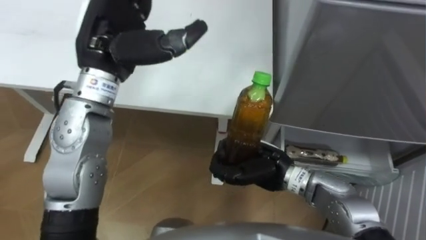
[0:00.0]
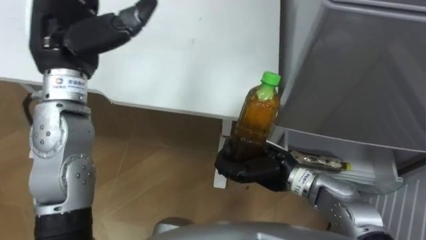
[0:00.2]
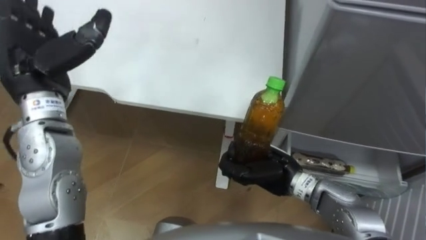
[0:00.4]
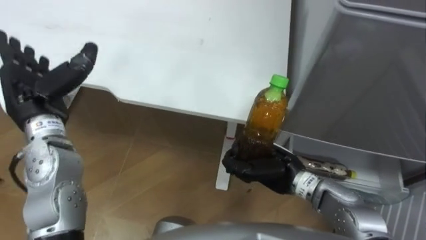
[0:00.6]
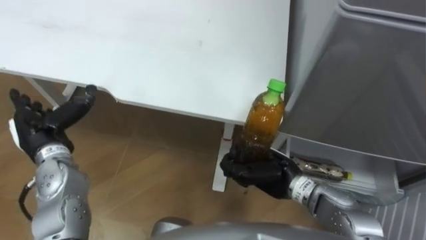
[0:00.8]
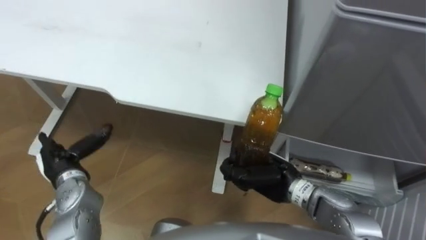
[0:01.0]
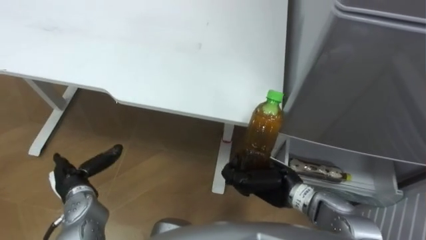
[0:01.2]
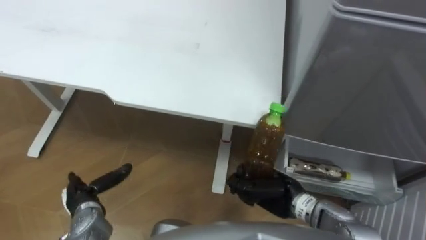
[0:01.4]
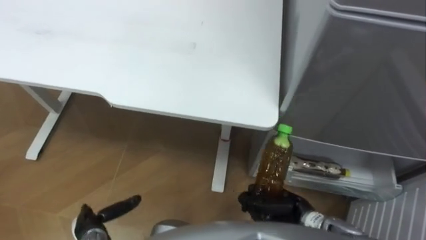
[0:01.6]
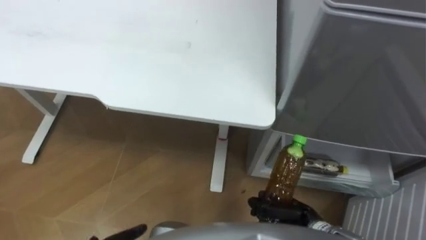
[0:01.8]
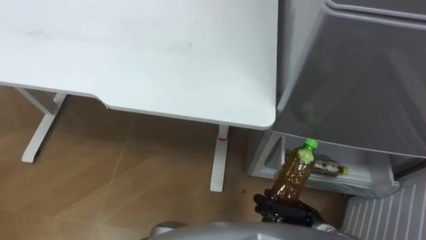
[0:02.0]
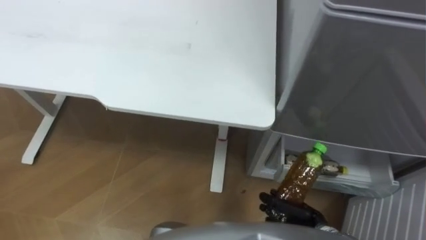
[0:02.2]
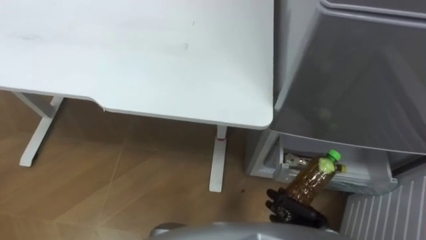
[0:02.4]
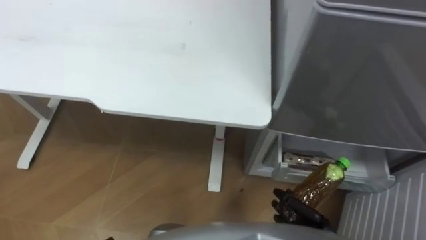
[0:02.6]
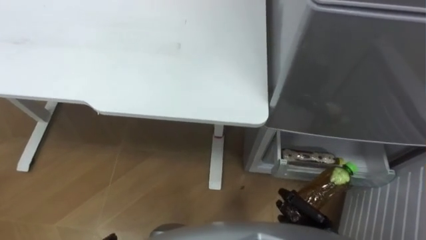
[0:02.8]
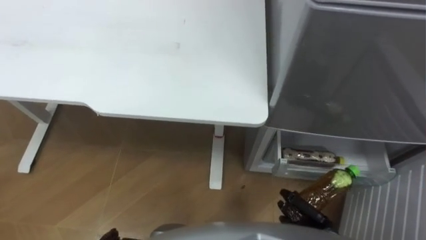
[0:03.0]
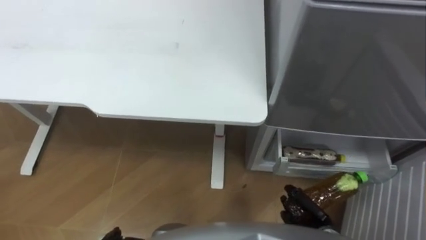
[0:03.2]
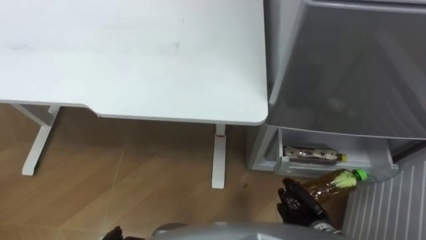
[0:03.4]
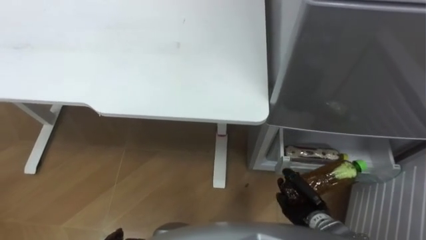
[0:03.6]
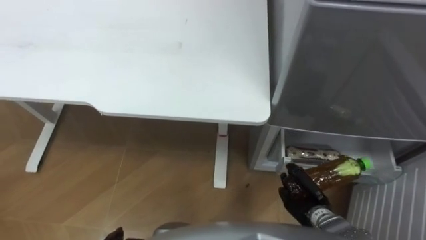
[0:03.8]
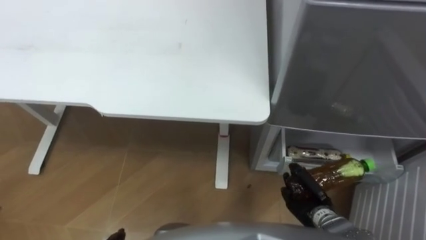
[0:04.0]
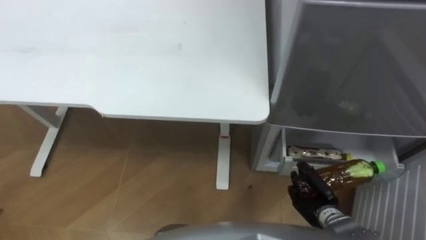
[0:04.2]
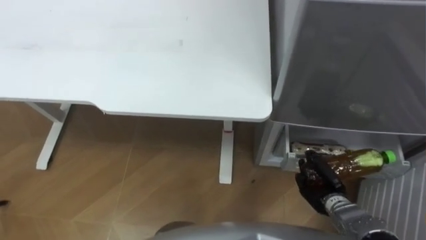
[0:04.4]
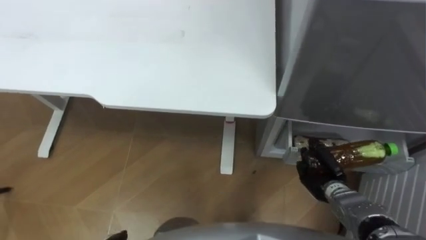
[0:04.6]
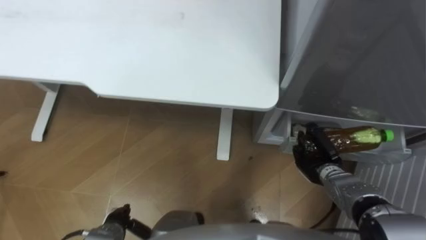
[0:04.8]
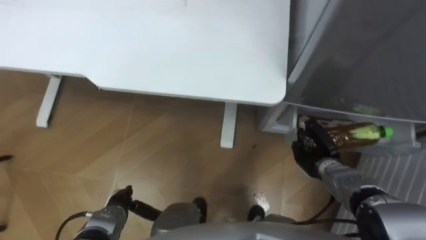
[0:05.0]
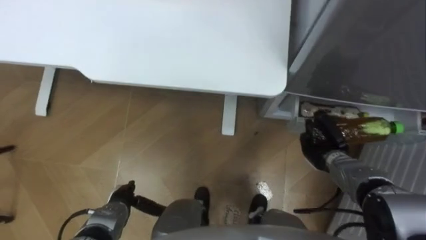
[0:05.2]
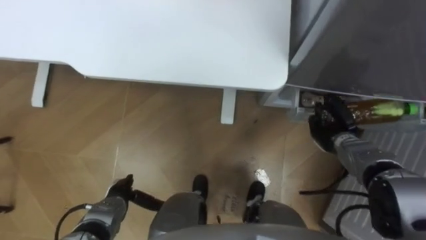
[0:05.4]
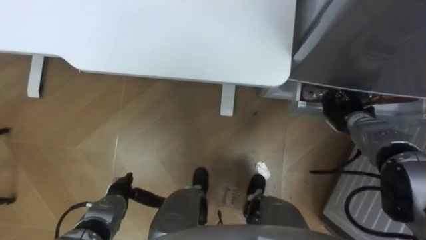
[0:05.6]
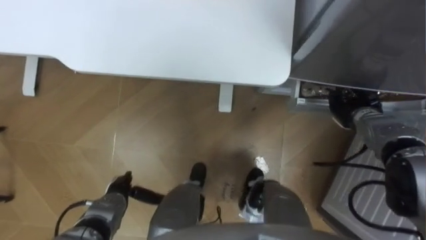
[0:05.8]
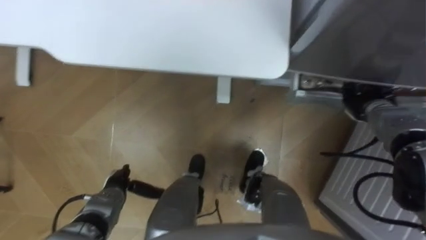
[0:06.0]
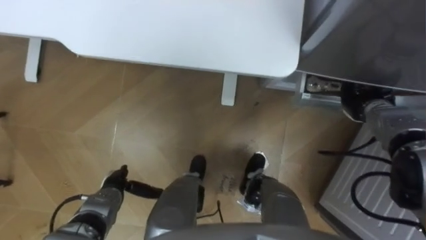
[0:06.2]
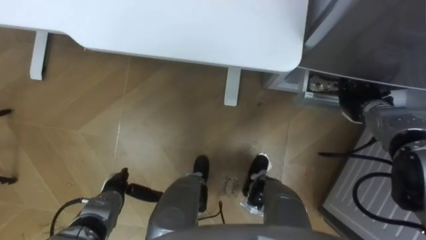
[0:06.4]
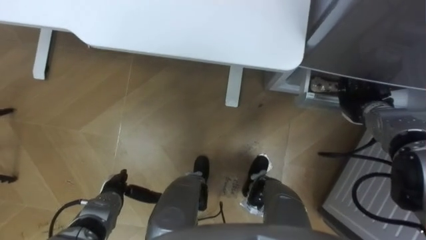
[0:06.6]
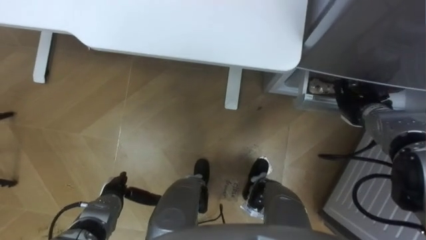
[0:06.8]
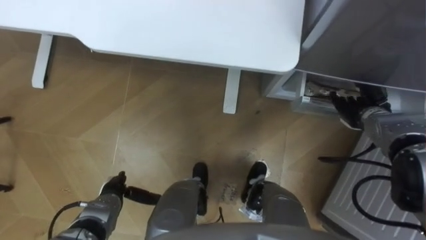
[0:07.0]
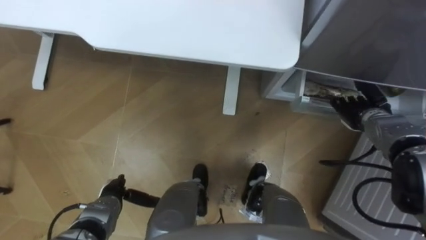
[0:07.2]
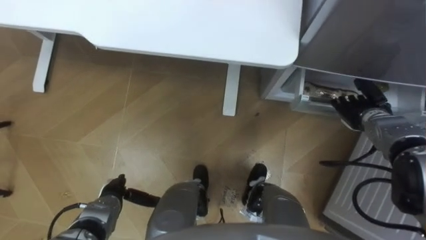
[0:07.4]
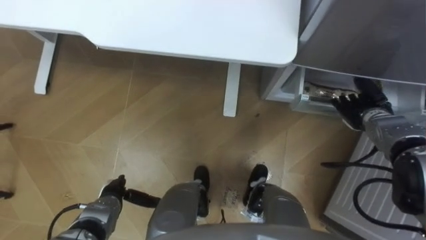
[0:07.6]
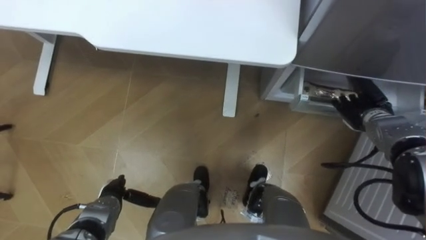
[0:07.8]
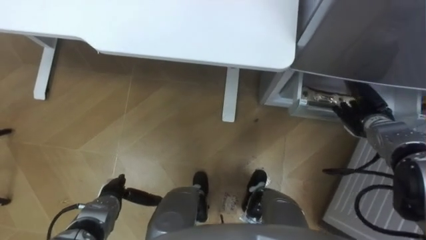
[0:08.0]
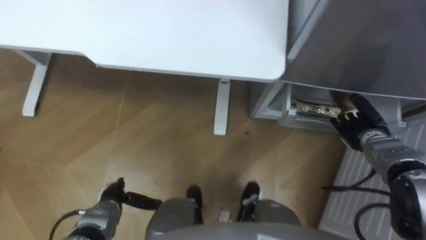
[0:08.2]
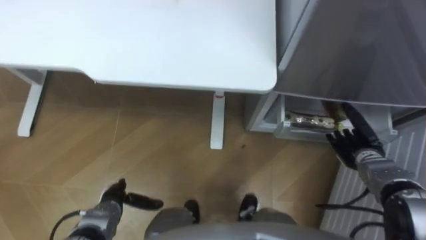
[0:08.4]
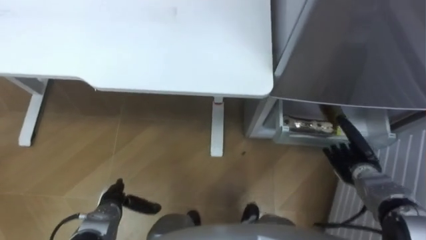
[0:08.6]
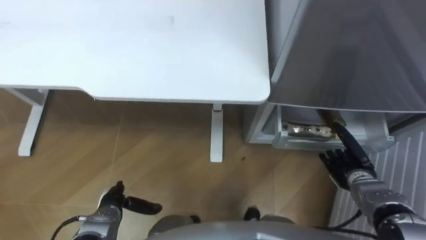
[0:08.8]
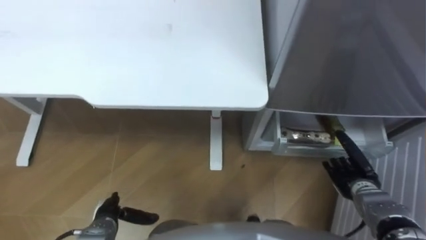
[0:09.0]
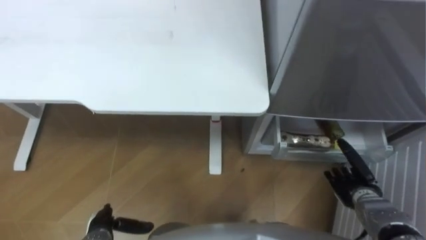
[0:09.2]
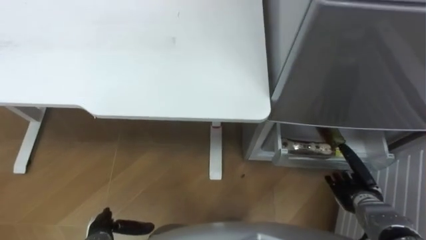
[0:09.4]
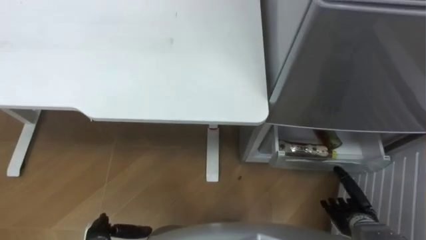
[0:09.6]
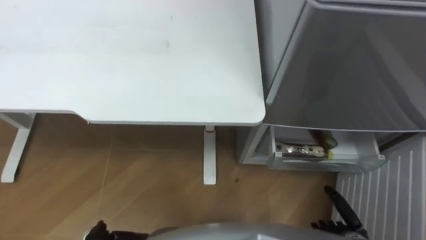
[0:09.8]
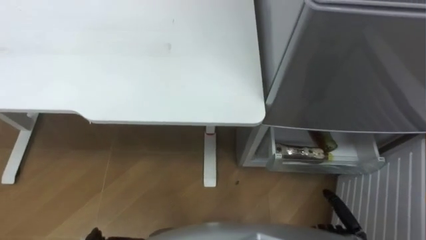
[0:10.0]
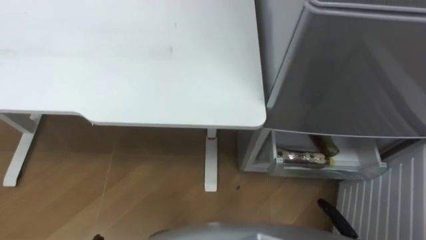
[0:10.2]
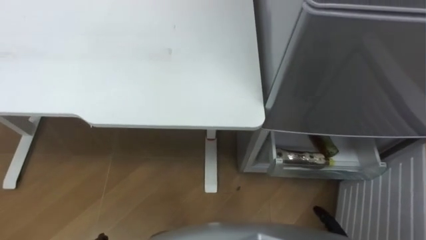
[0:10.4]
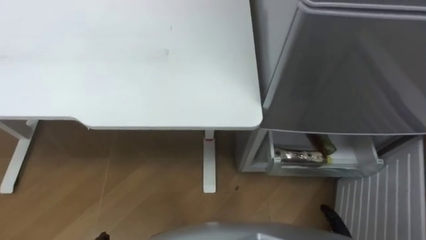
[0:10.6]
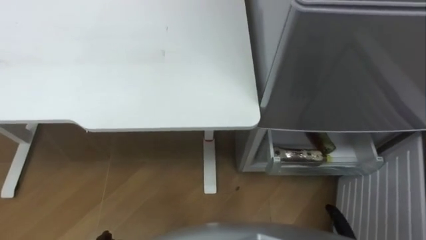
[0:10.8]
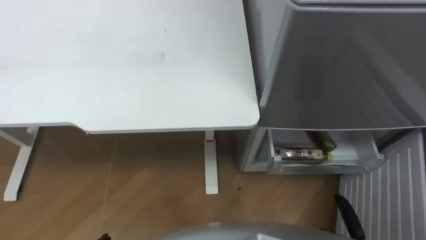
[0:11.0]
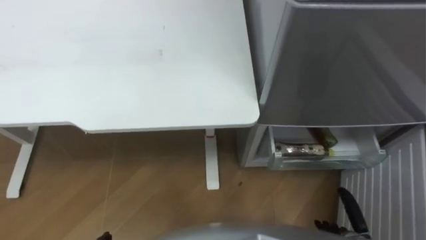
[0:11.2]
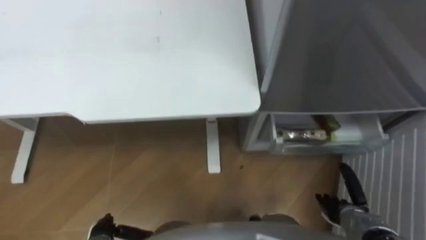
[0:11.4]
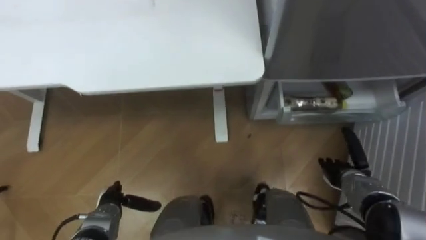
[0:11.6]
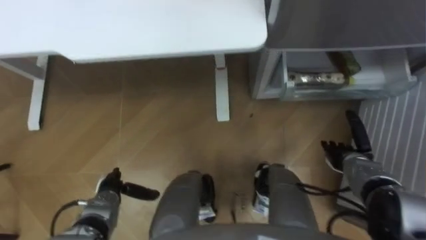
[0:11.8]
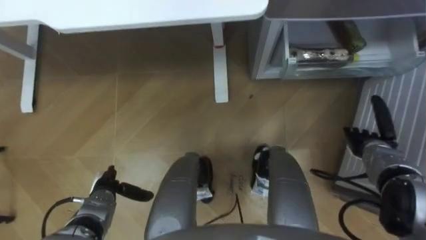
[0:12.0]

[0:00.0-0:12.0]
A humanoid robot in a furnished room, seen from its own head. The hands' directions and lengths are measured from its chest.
Task of the whole recording: Place the drink on the table on the bottom shelf of the refrigerator, then close the drawer and the refrigerator door.
0:00.0 to 0:01.6: The left hand heads downward and backward, covering some 40 cm, while the right hand heads downward, backward and to the right, covering approximately 15 cm.
0:01.6 to 0:03.0: The right hand travels to the right and downward by roughly 10 cm.
0:03.0 to 0:04.4: The right hand goes some 5 cm forward.
0:04.4 to 0:06.0: The right hand travels forward, upward and to the right by approximately 20 cm.
0:06.0 to 0:07.6: The right hand opens.
0:07.6 to 0:09.0: The right hand travels backward and downward by some 15 cm.

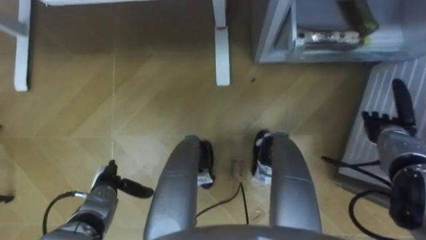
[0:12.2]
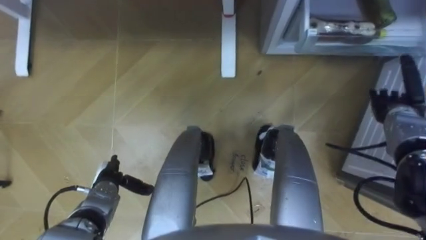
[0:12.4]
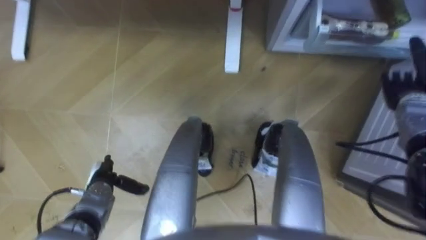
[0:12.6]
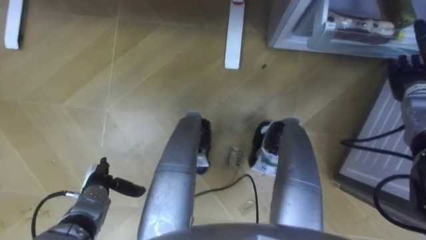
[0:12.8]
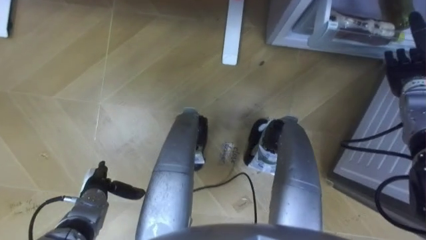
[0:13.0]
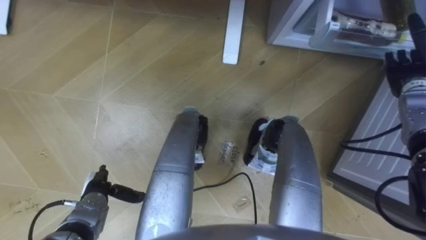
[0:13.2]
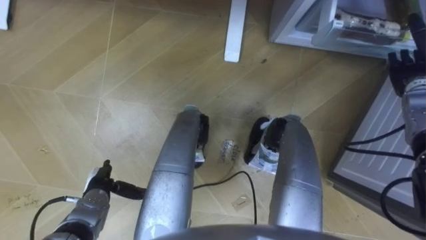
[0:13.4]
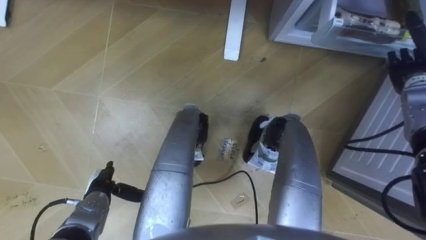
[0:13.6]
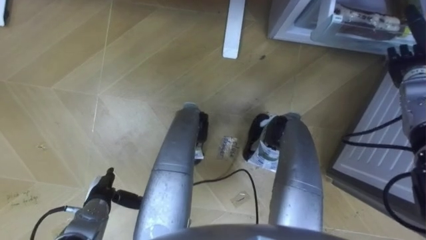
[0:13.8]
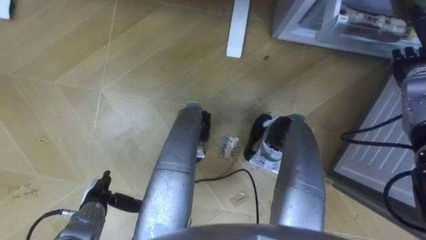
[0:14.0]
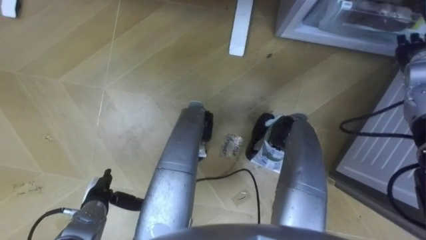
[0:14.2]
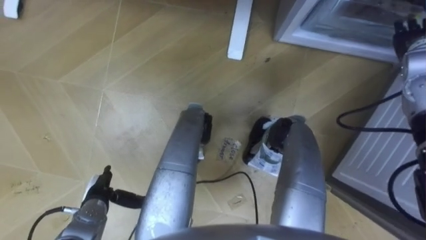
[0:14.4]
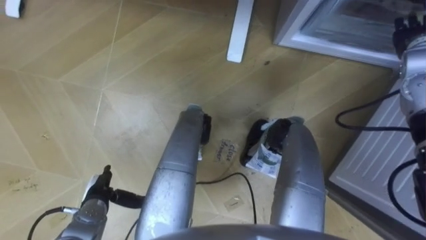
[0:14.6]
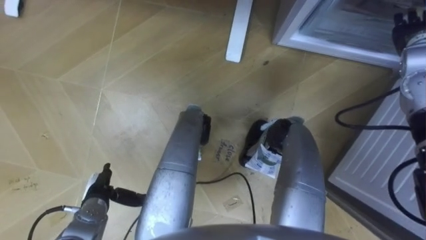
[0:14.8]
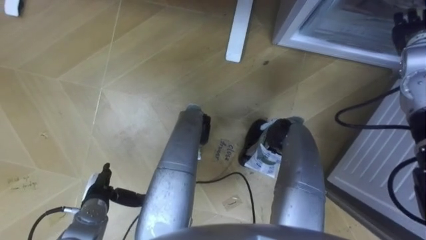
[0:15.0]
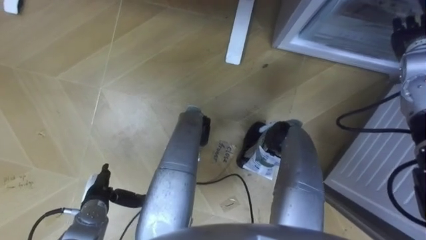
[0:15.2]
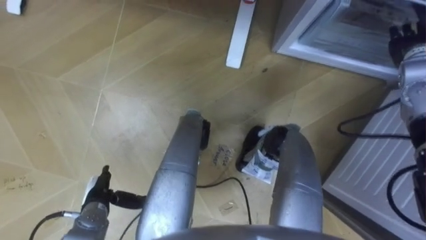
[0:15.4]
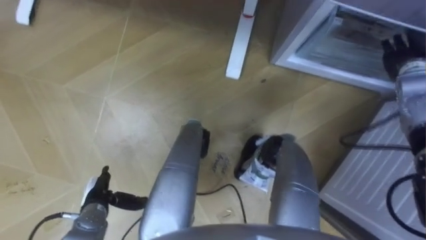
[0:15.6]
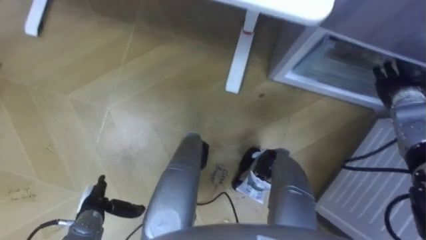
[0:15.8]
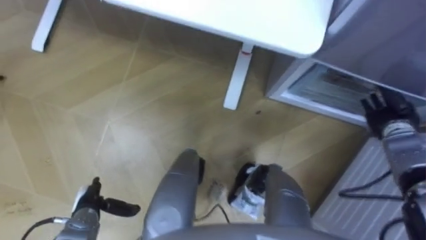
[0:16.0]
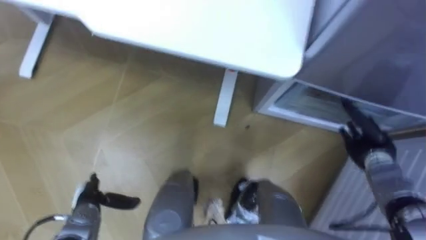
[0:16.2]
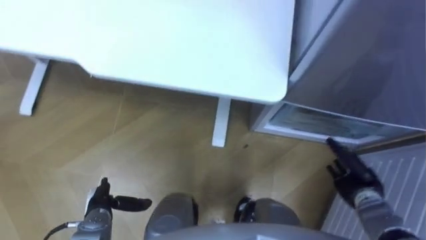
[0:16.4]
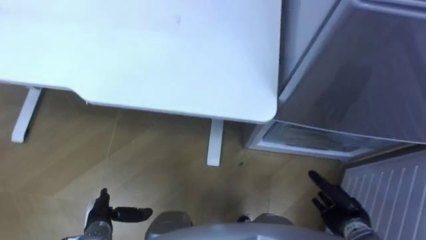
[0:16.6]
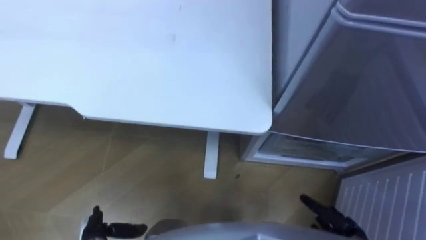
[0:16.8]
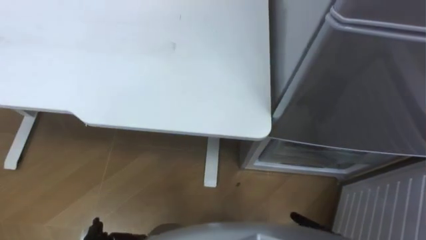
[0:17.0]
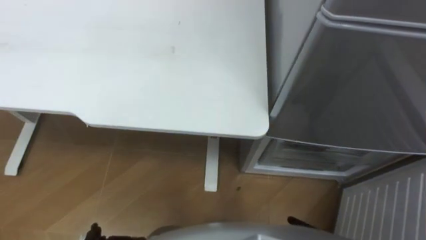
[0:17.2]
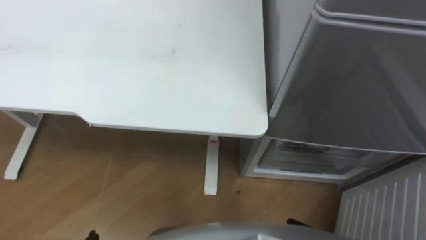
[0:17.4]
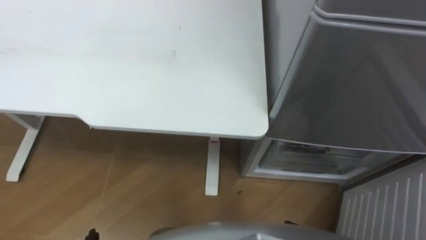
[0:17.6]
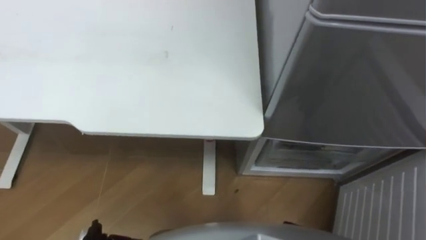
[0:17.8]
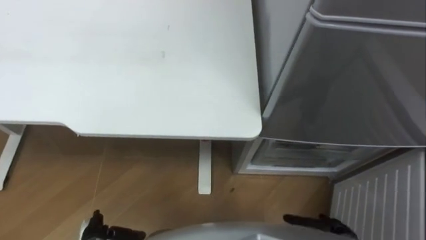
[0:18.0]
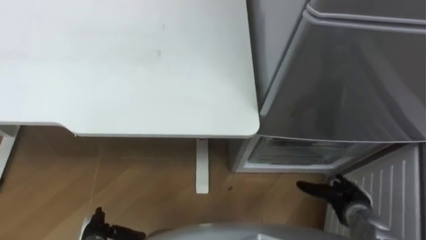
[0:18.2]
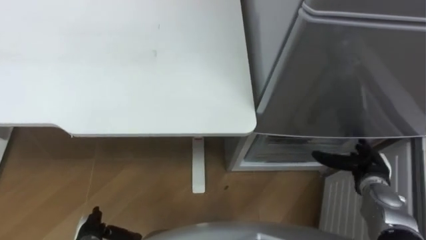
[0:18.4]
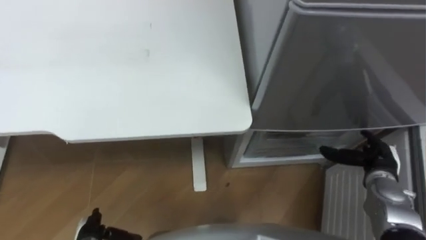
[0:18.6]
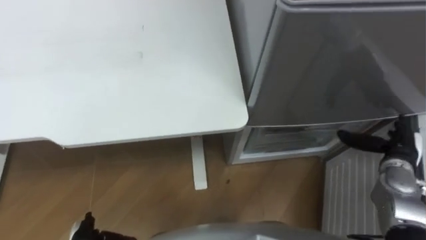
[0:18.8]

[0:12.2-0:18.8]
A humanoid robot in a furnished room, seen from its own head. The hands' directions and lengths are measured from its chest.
Task of the whole recording: Place the drink on the table on the bottom shelf of the refrigerator, then close the drawer and the refrigerator door.
0:12.2 to 0:13.8: The right hand goes approximately 15 cm upward and forward.
